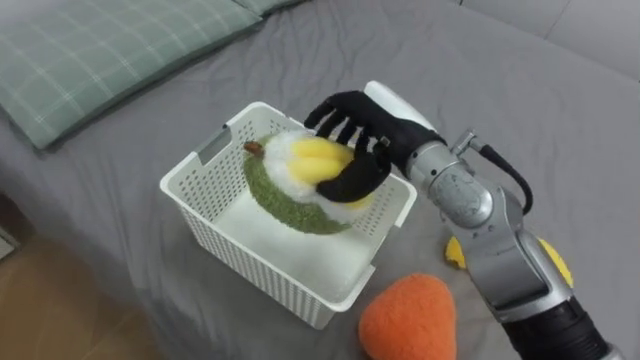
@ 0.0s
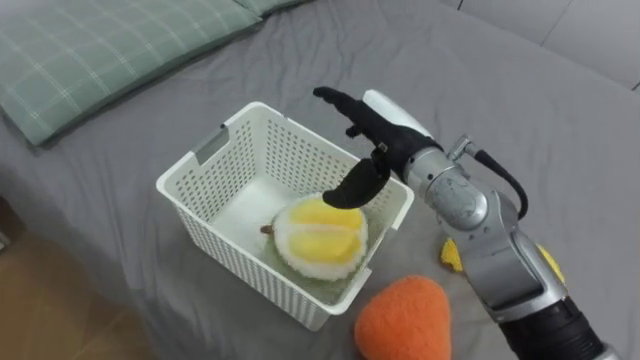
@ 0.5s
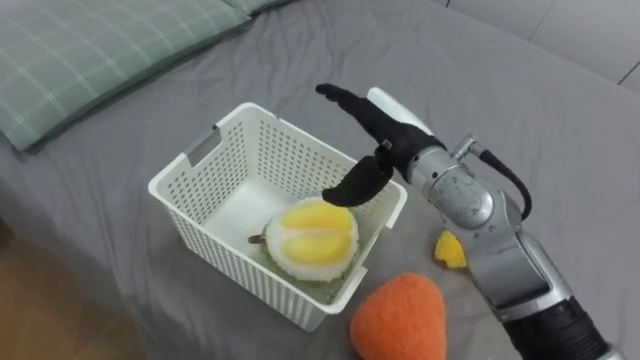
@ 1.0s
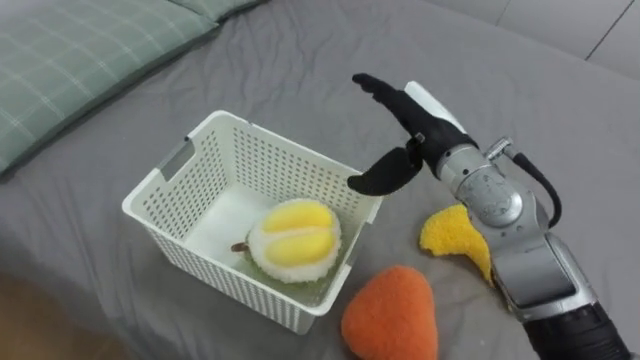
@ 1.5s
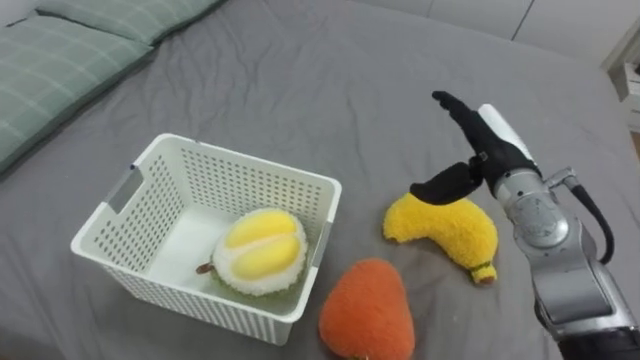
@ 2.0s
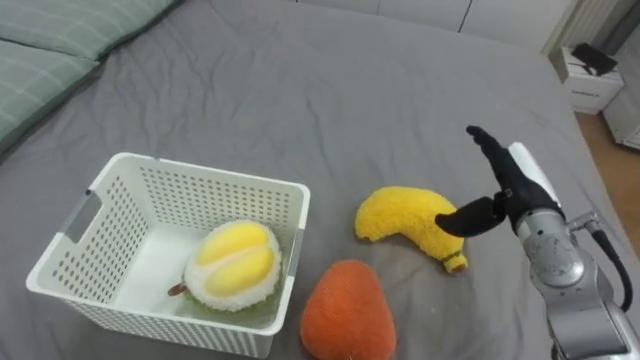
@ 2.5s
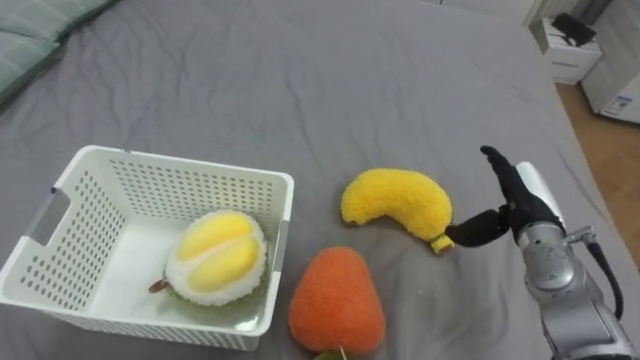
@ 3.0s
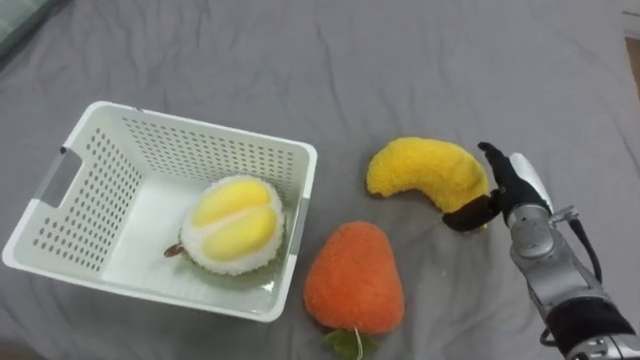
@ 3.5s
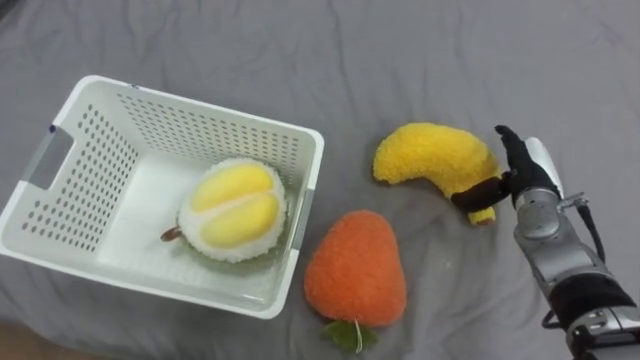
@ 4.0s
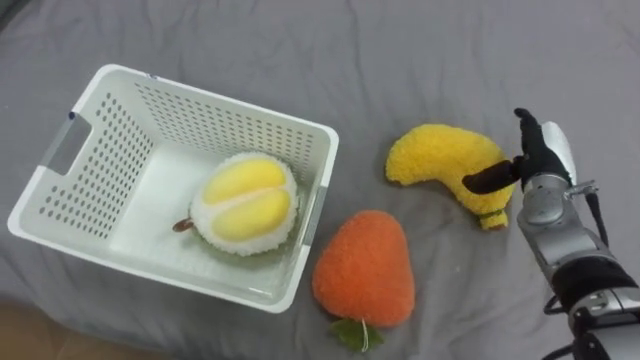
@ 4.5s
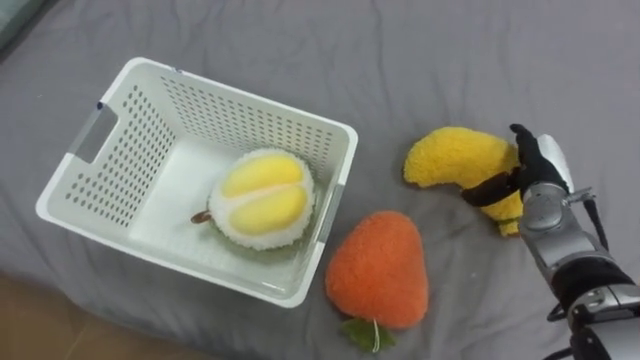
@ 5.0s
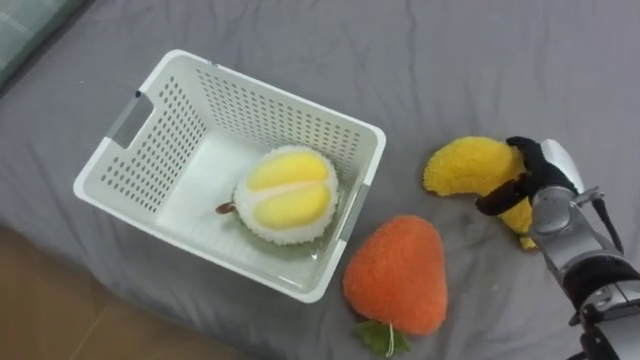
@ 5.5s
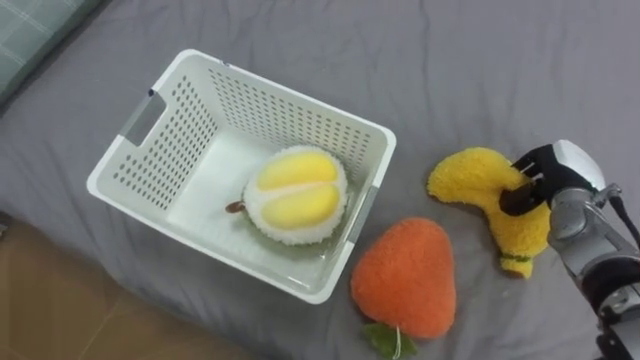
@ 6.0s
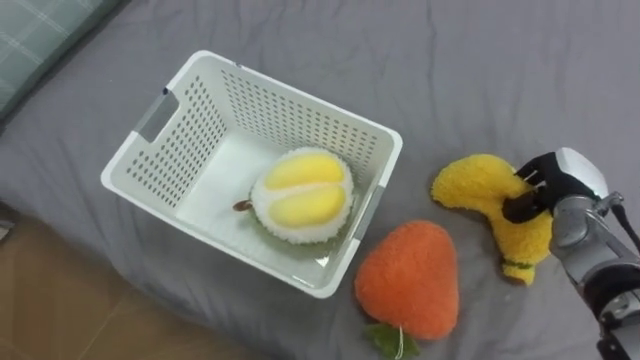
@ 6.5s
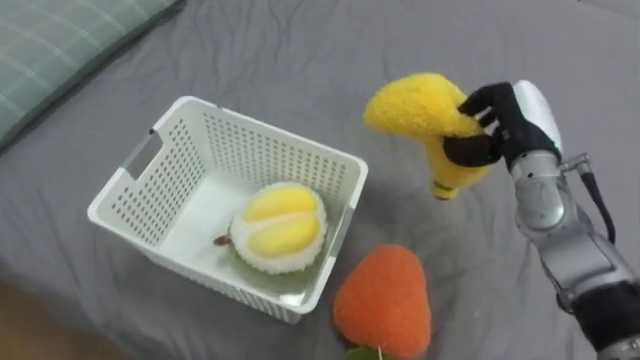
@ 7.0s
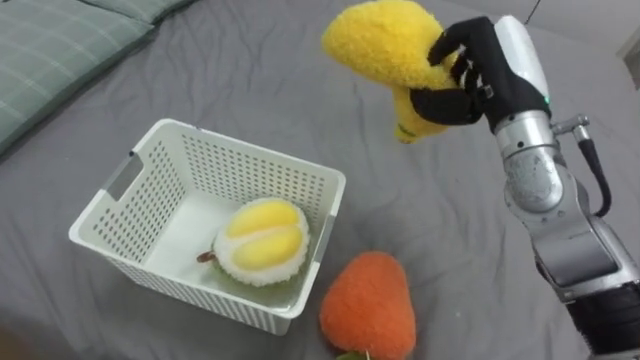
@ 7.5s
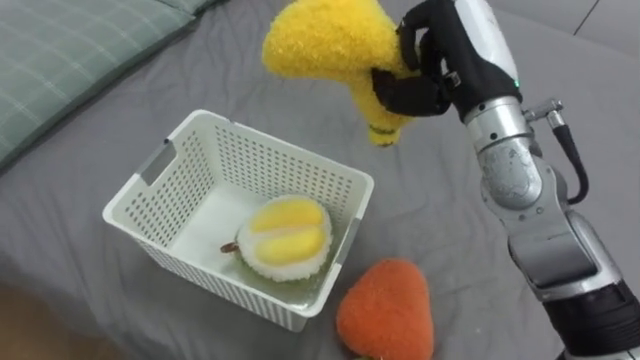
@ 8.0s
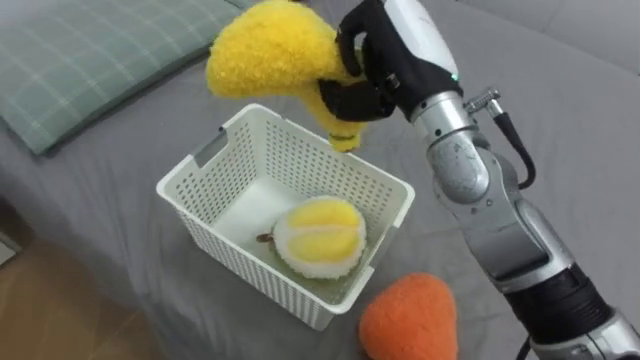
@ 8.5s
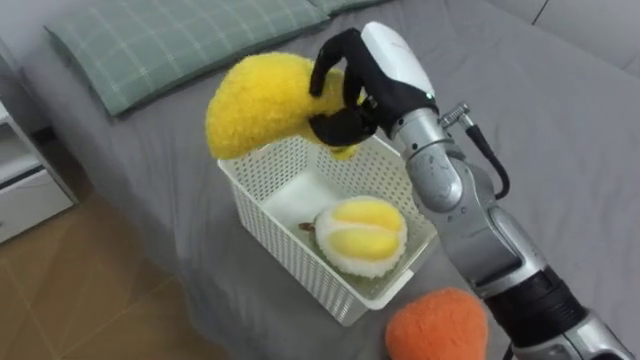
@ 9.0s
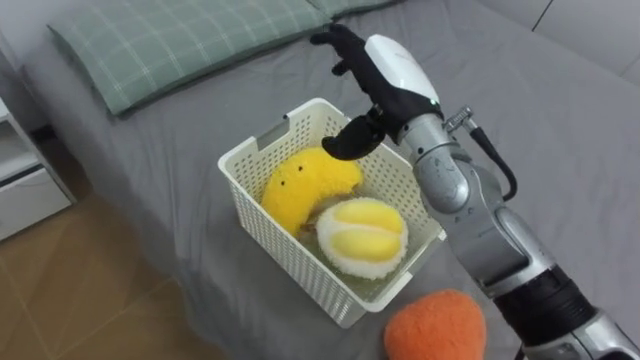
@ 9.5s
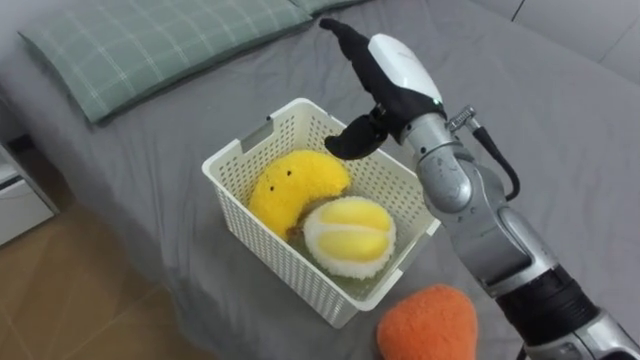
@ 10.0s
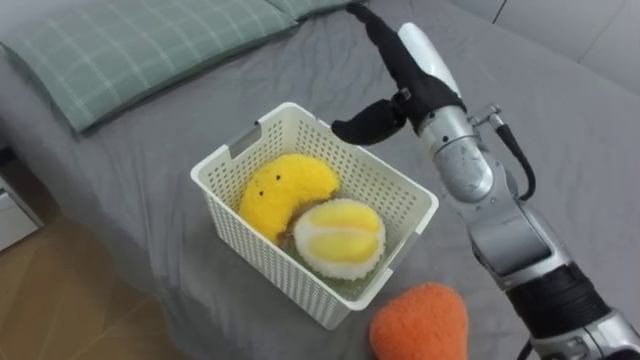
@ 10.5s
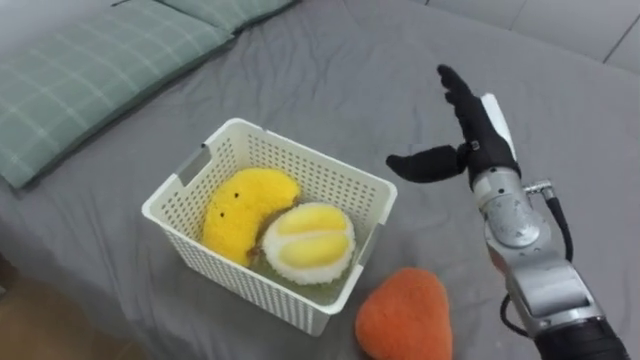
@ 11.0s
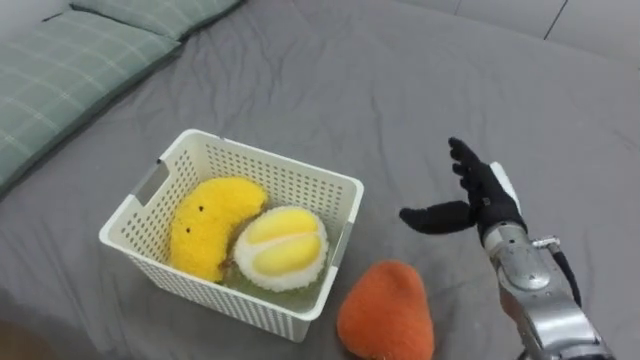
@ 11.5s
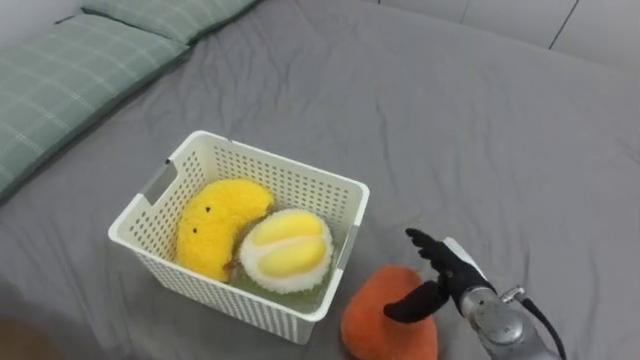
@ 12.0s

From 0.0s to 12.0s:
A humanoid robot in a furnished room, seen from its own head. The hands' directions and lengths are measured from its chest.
Task of the whole recording: Put the toys on the bed into the basket on the left.
From 0.0s to 2.0s: The right hand moves to the right, approximately 10 cm, and opens.
From 2.0s to 4.0s: The right hand shifts some 10 cm downward and to the right.
From 4.0s to 6.0s: The right hand closes.
From 6.0s to 8.0s: The right hand shifts some 25 cm upward and to the left.
From 8.0s to 10.0s: The right hand moves to the left, roughly 5 cm, and opens its fingers.
From 10.0s to 12.0s: The right hand shifts roughly 30 cm downward, to the right and backward.

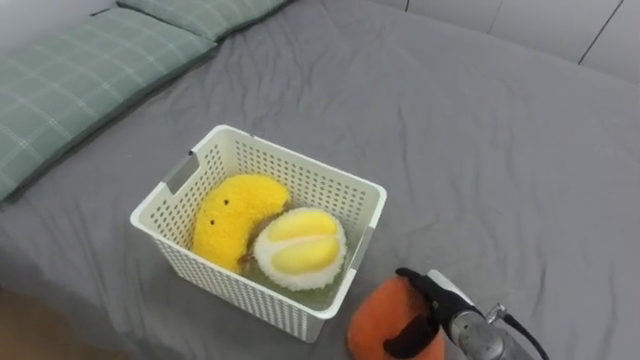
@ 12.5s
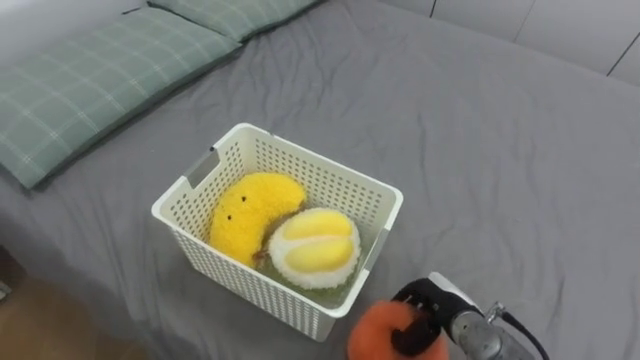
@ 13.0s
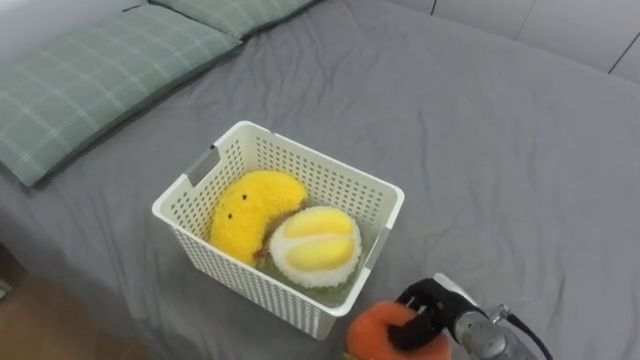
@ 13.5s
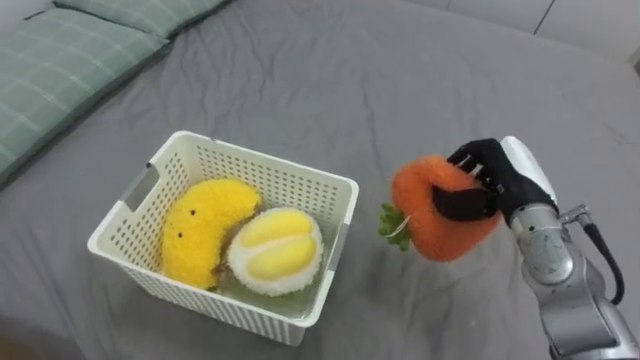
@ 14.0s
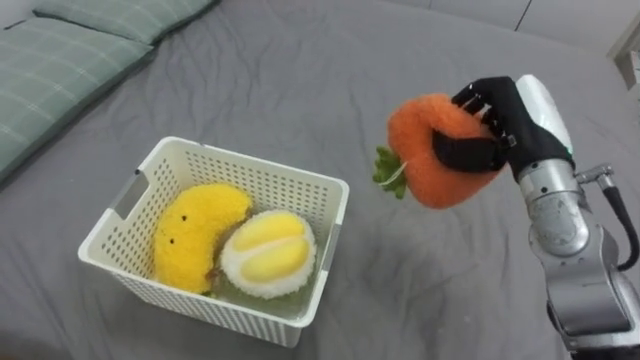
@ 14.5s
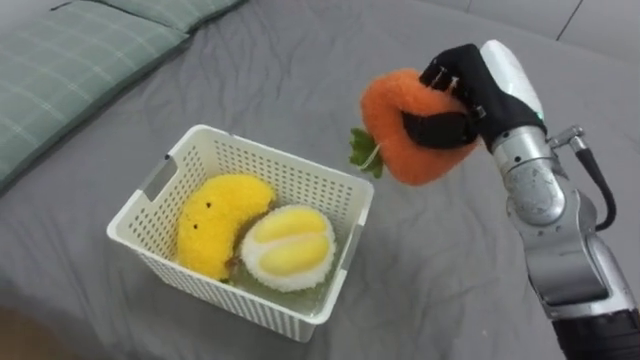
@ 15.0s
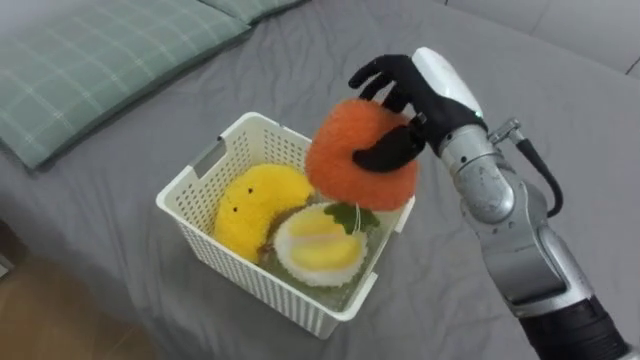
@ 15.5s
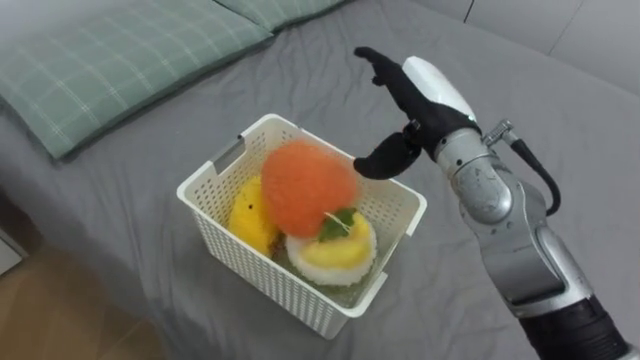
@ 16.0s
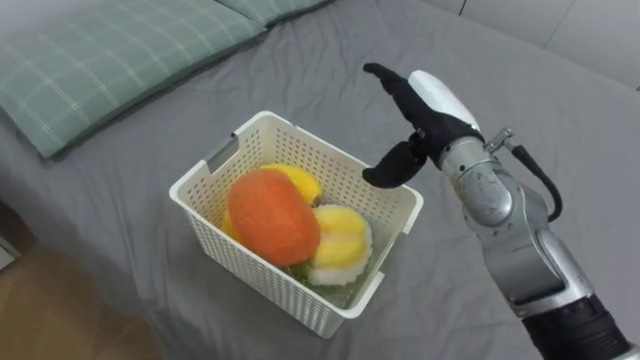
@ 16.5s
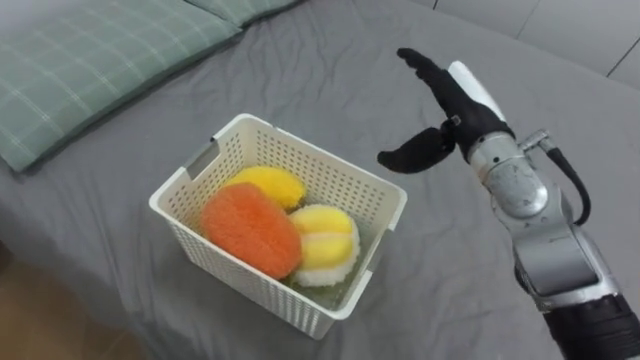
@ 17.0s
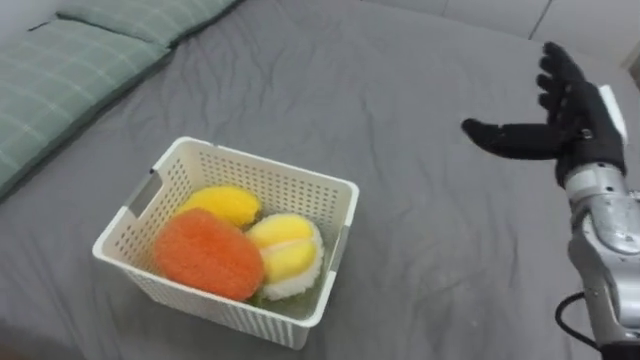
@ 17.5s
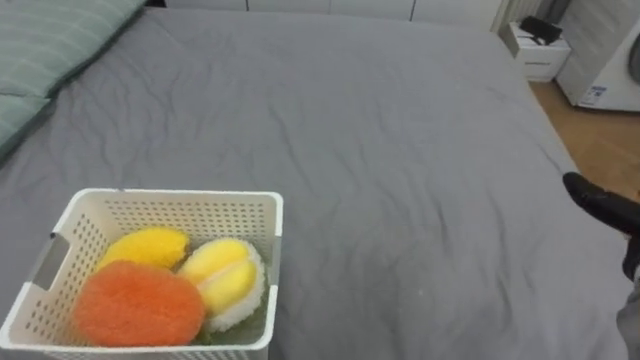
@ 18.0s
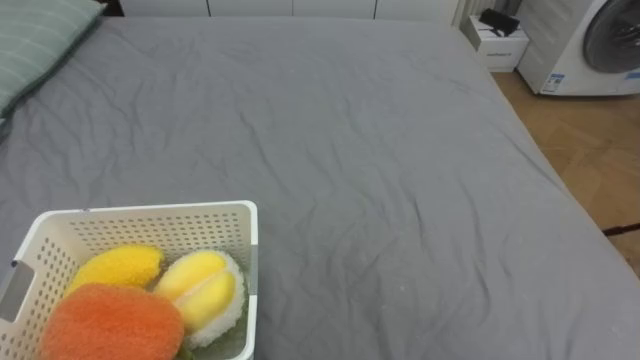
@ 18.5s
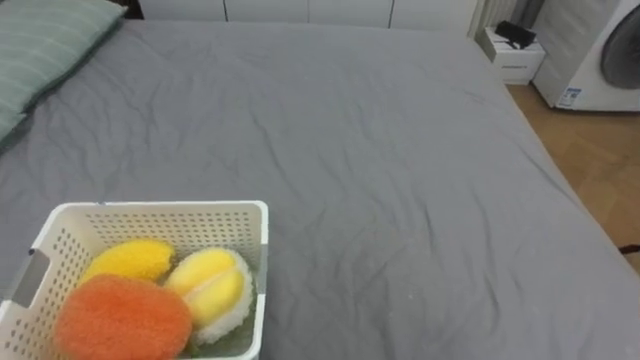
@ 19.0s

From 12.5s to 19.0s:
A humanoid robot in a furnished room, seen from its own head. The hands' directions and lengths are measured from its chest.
Task of the whole recording: Put the toys on the bed into the basket on the left.
From 12.5s to 14.5s: The right hand moves upward and forward, about 25 cm, and closes up.
From 14.5s to 17.0s: The right hand is displaced to the left by some 5 cm, and opens up.

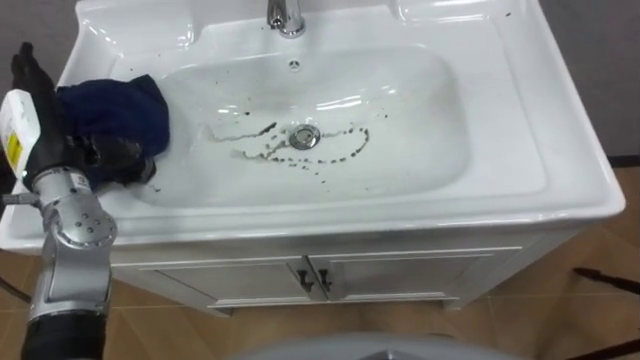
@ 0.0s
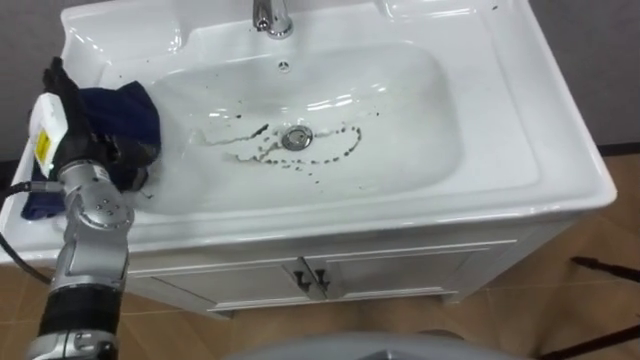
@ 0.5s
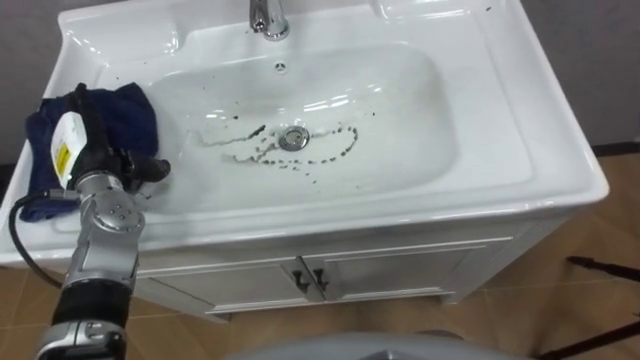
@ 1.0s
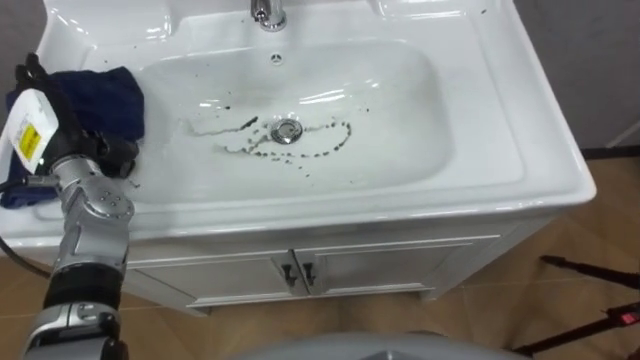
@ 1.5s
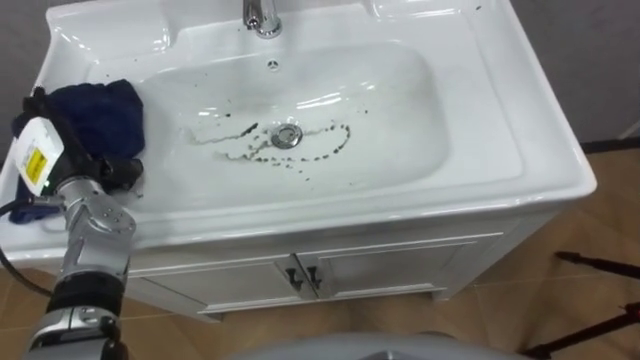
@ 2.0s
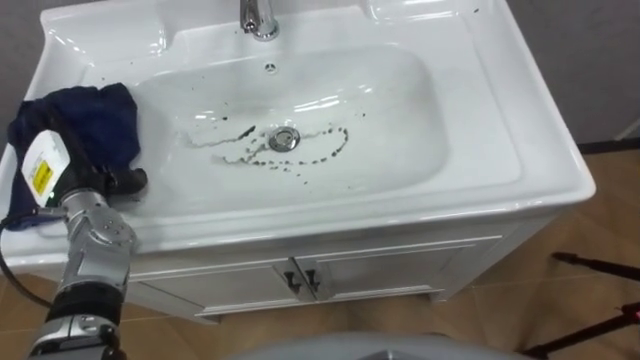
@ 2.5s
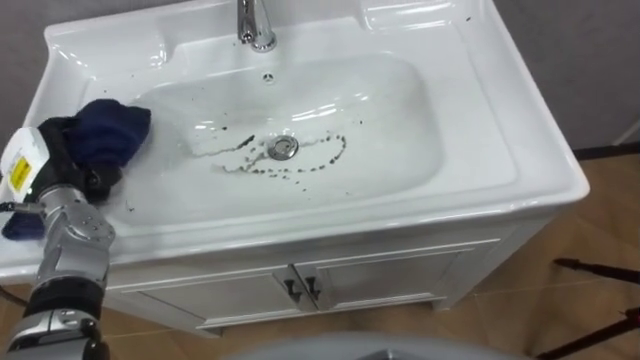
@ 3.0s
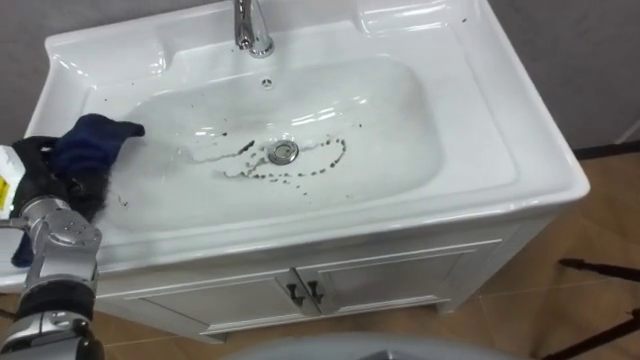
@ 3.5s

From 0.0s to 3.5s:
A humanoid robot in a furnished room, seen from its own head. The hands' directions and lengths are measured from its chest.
Task of the whole recording: Use the cloth on the right to wipe away the black stain in the sink.
From 0.0s to 2.0s: The left hand moves downward, some 5 cm.
From 2.0s to 3.5s: The left hand ends up some 5 cm from where it was, and closes up.
